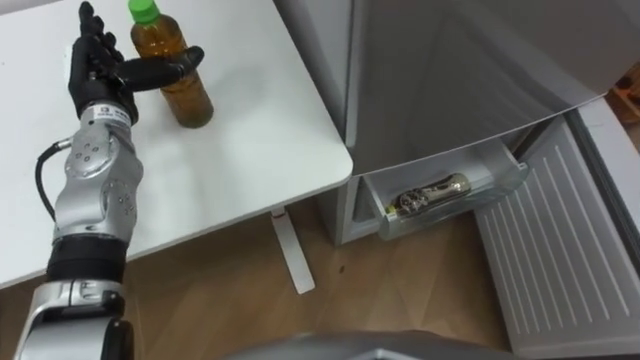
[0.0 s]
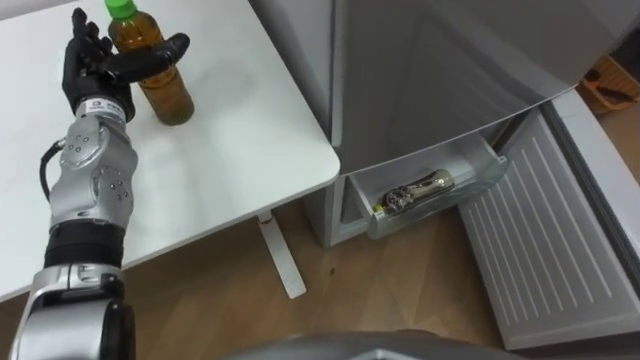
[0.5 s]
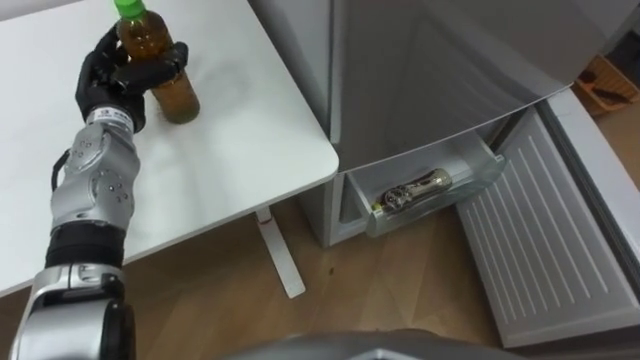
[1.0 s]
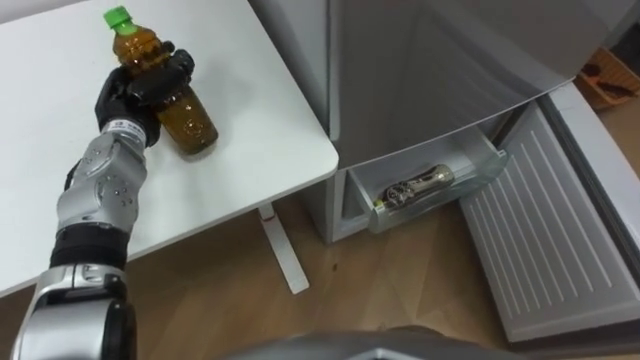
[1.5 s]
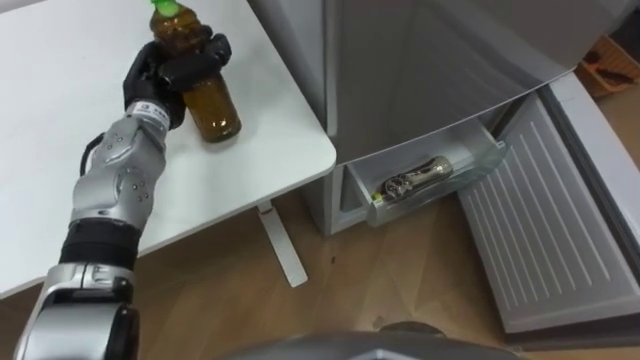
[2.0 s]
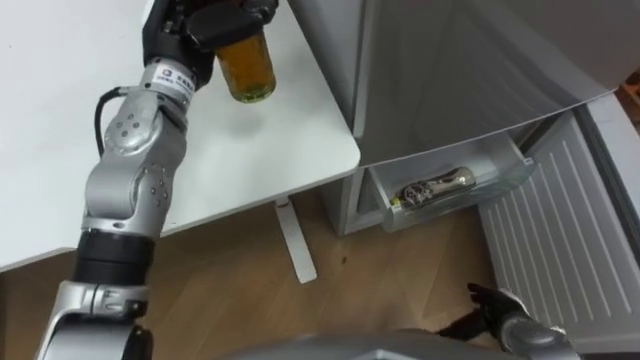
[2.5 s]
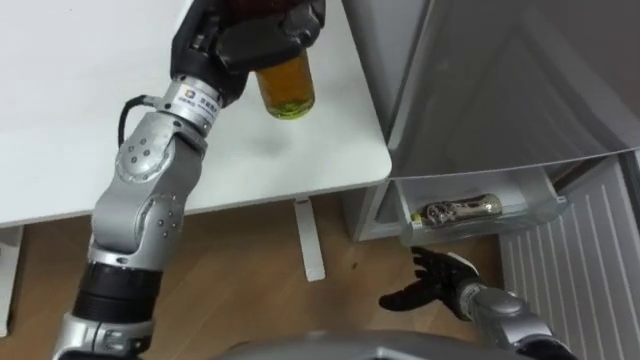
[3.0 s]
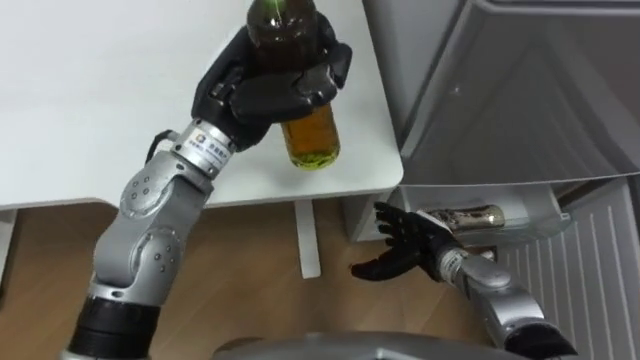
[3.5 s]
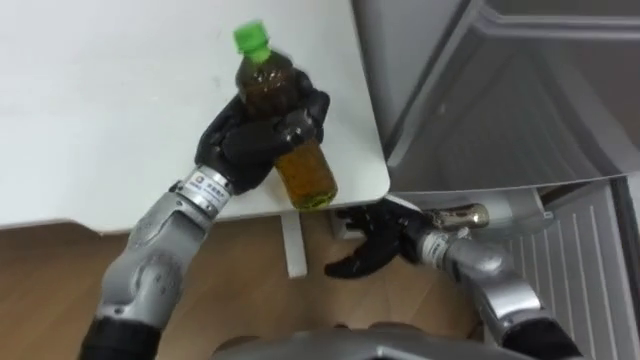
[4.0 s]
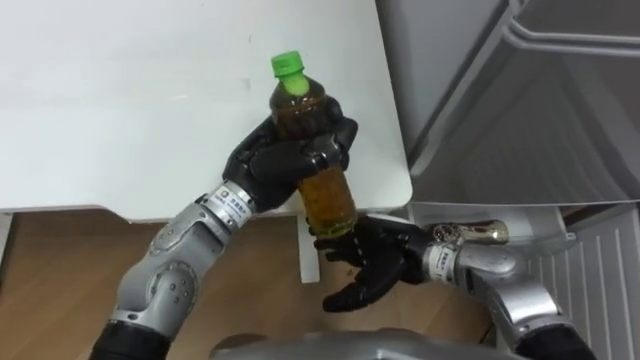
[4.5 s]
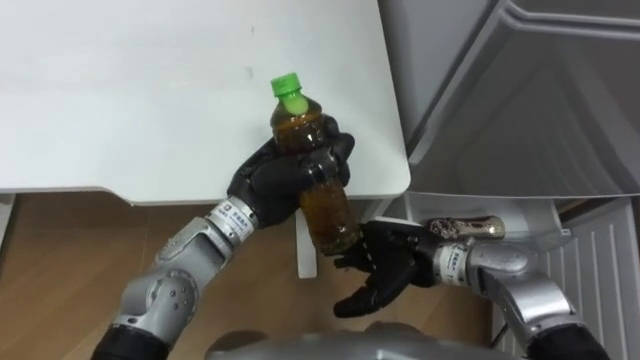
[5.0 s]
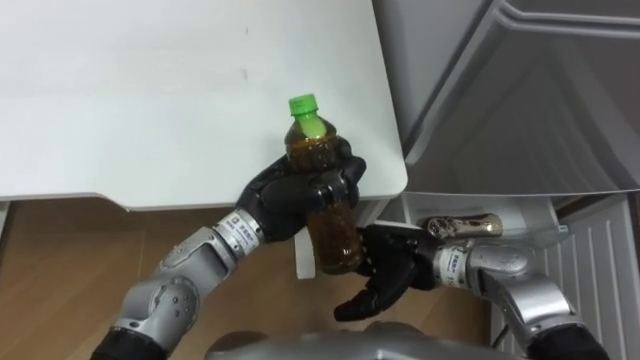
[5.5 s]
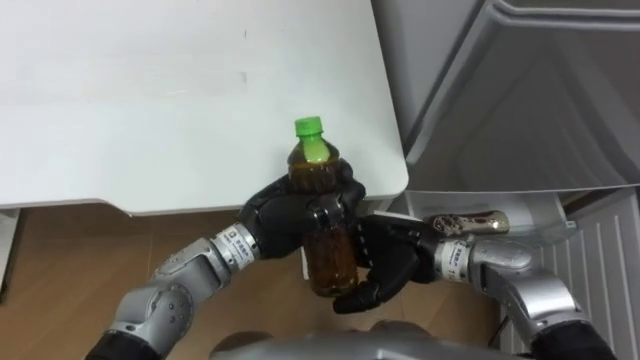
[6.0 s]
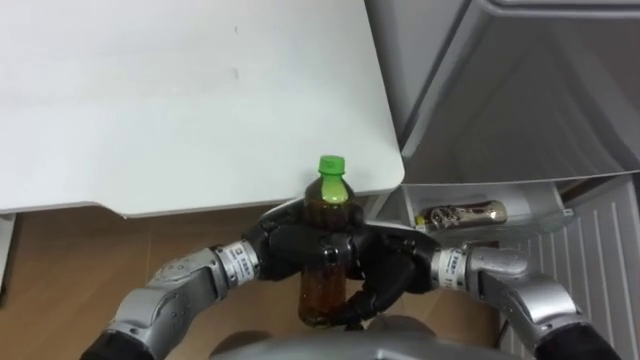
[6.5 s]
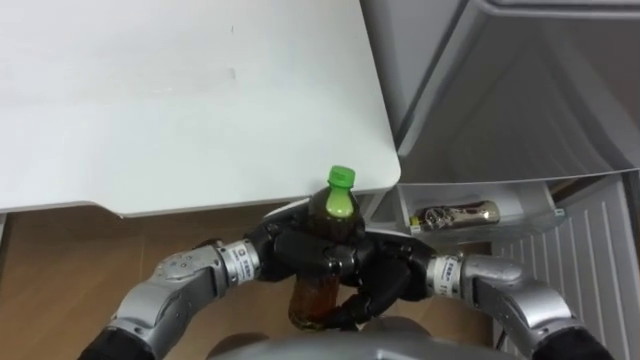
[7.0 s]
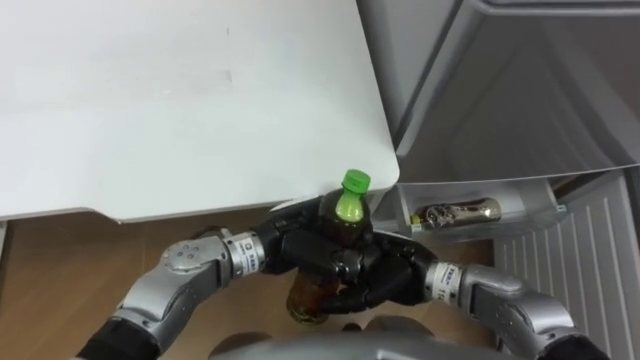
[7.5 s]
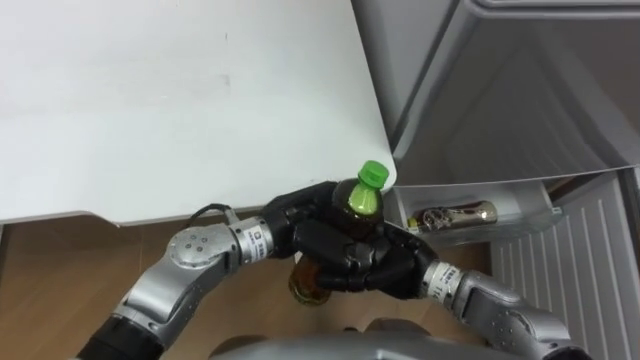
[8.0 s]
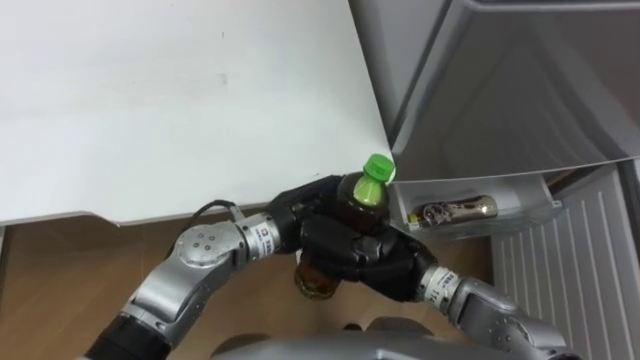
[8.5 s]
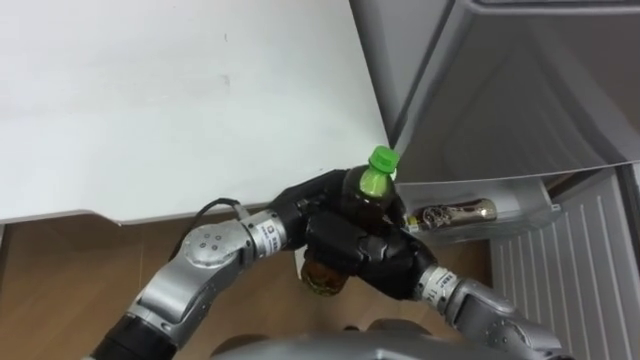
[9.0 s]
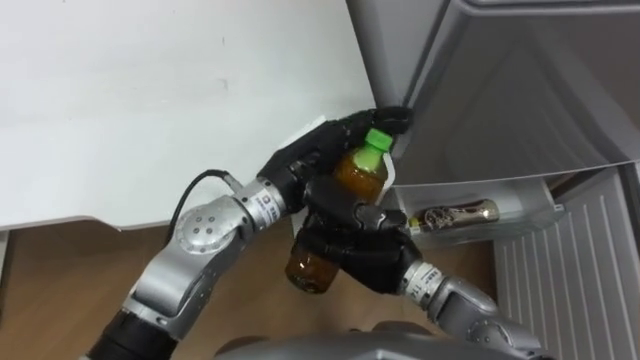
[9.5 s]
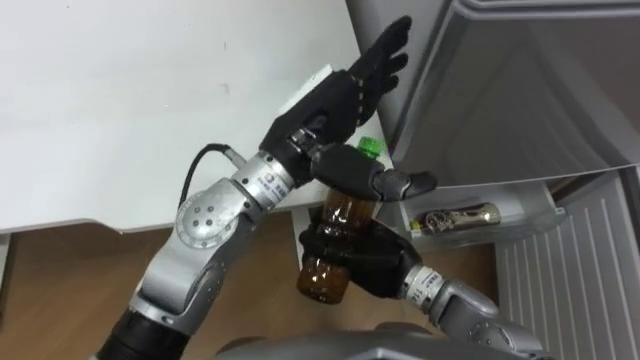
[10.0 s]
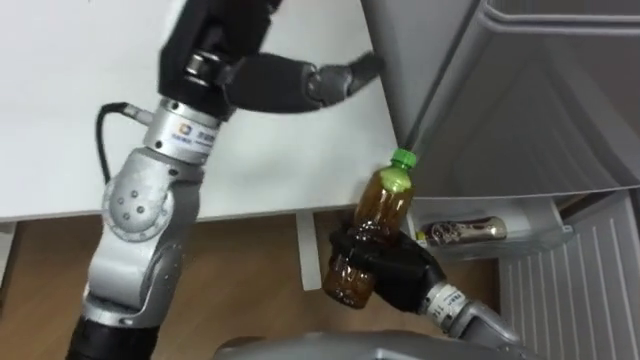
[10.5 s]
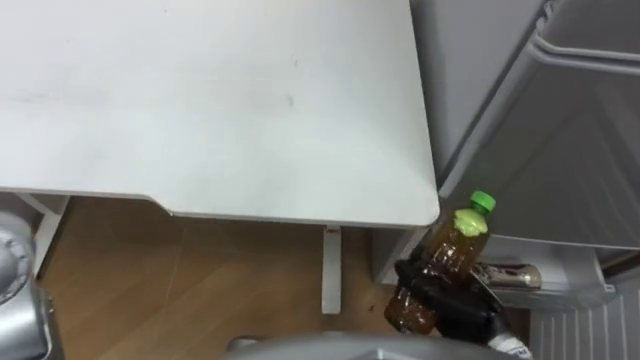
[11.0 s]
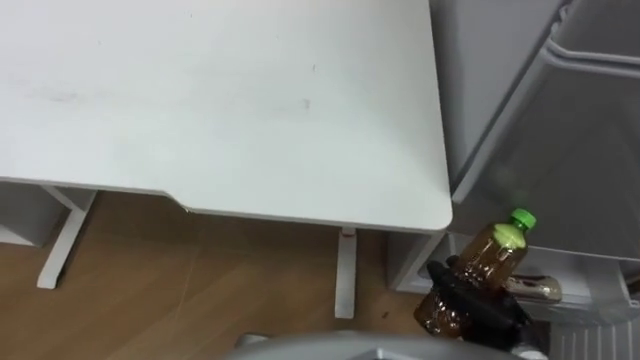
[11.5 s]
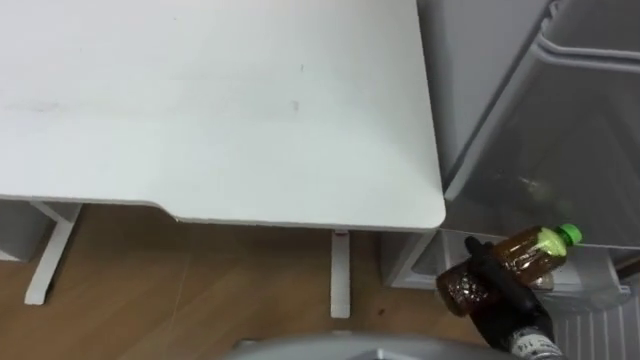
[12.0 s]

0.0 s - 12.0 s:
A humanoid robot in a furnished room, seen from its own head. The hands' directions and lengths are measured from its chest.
Task of the whole recording: Place the drink on the table on the bottom shelf of the refrigerator, then close the drawer and the refrigerator door.
0.0 s - 2.0 s: The left hand is displaced to the right by approximately 5 cm, and closes its fingers.
2.0 s - 4.0 s: The left hand is displaced to the right and backward by roughly 15 cm.
4.0 s - 6.0 s: The left hand shifts about 10 cm downward and backward.
8.0 s - 10.0 s: The right hand closes. Meanwhile the left hand is displaced upward by about 10 cm, and opens its fingers.
10.0 s - 12.0 s: The right hand goes about 20 cm to the right.

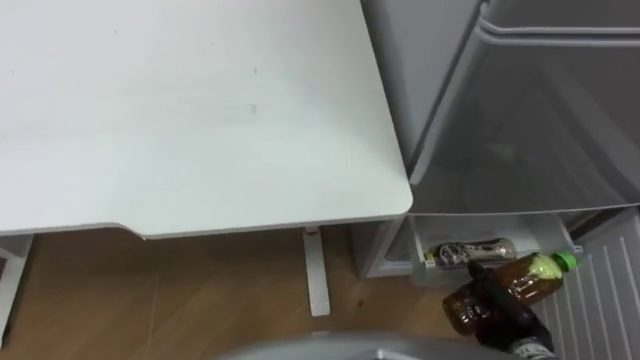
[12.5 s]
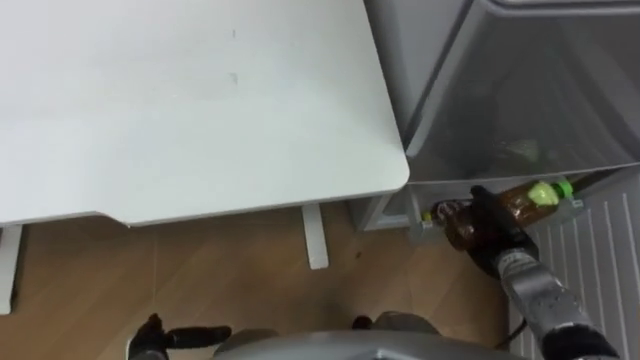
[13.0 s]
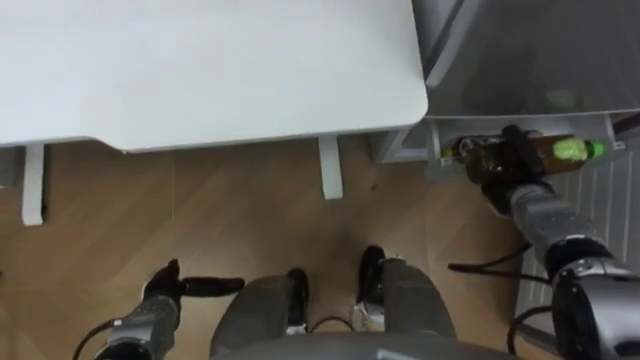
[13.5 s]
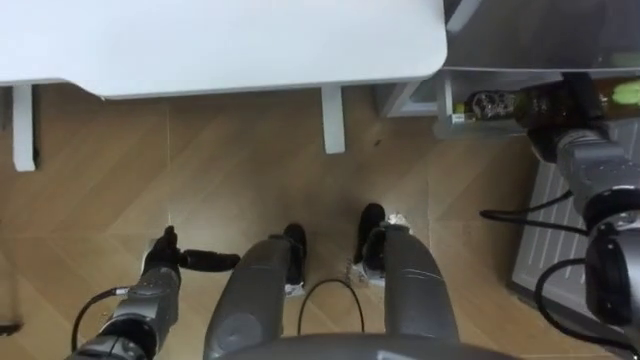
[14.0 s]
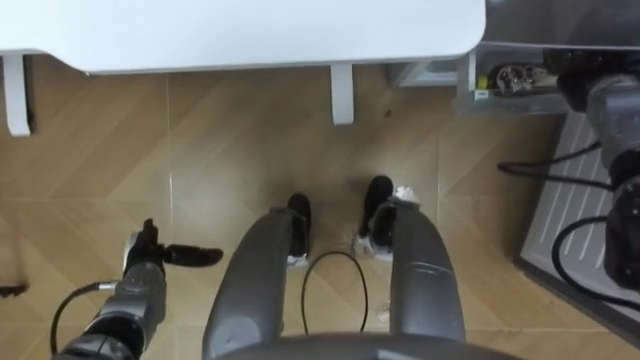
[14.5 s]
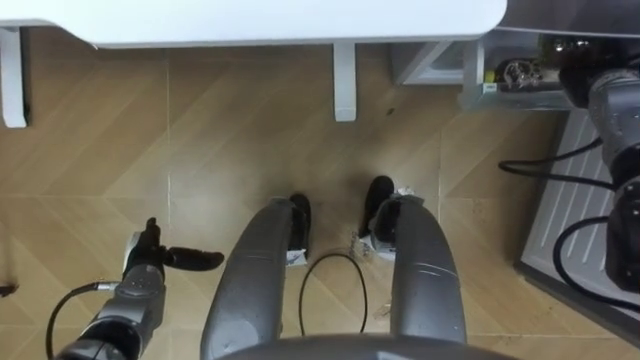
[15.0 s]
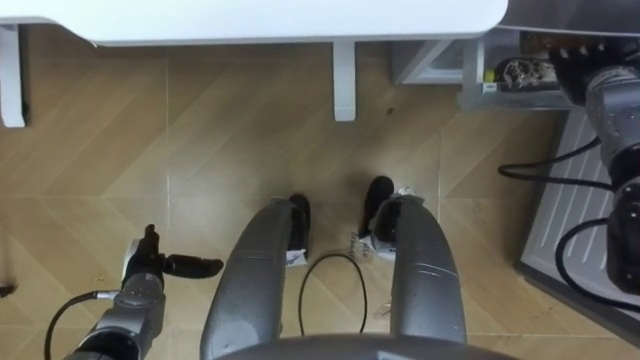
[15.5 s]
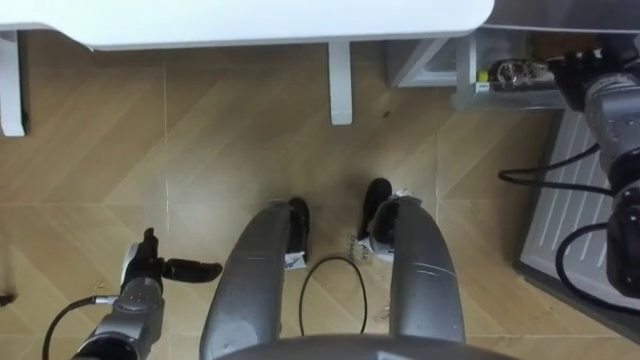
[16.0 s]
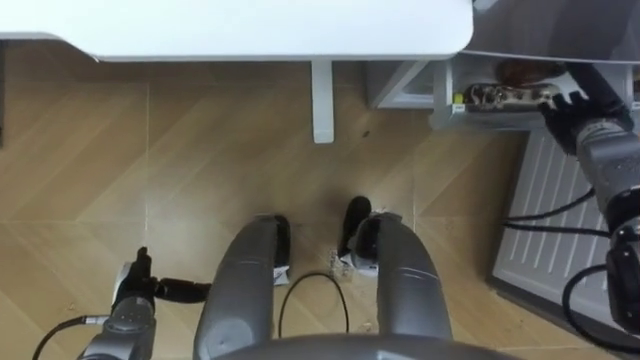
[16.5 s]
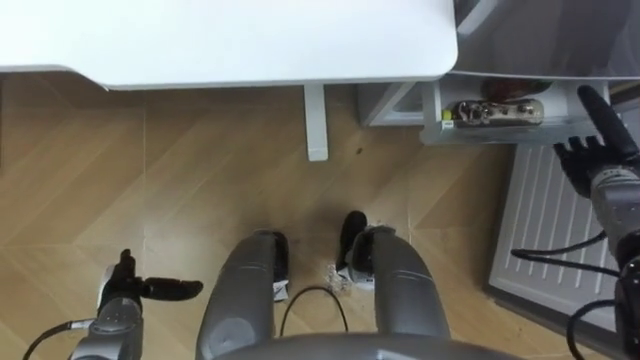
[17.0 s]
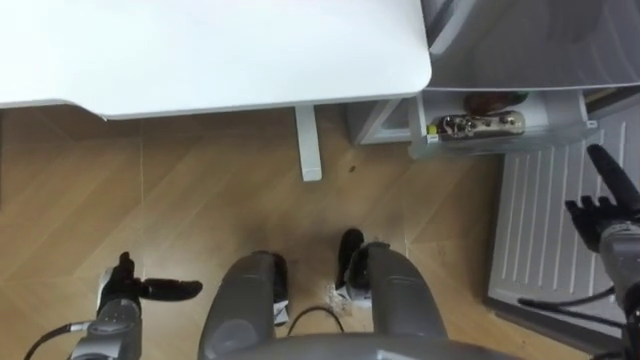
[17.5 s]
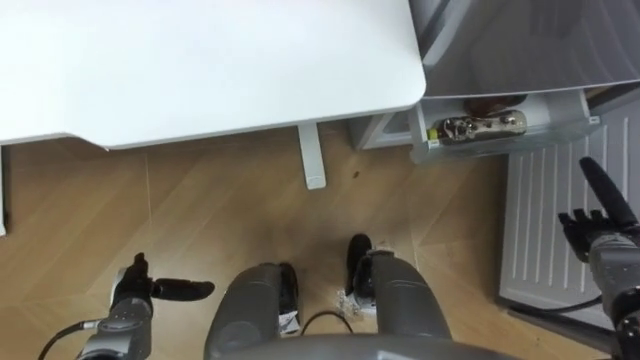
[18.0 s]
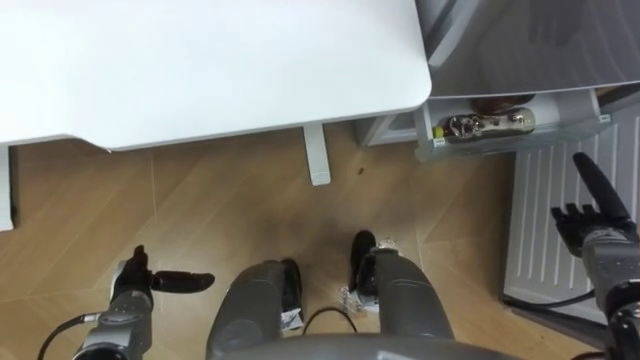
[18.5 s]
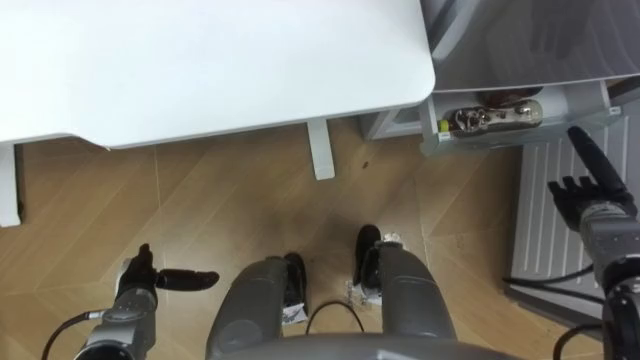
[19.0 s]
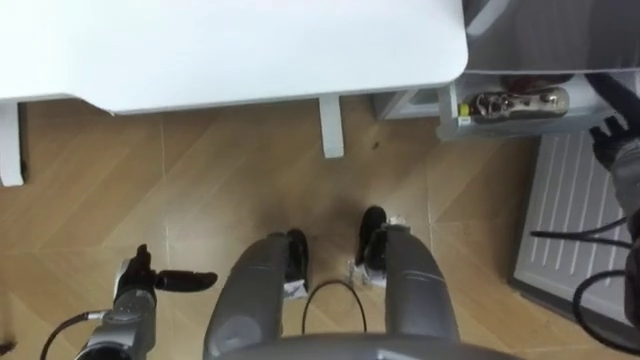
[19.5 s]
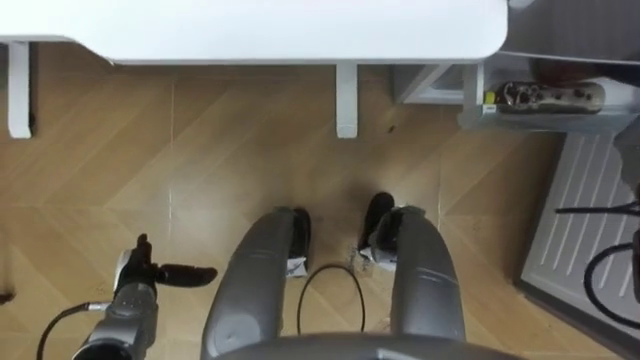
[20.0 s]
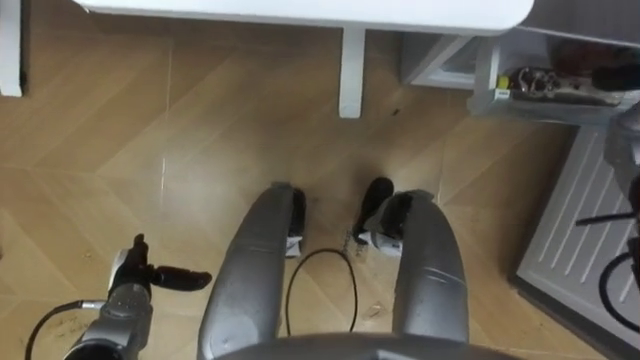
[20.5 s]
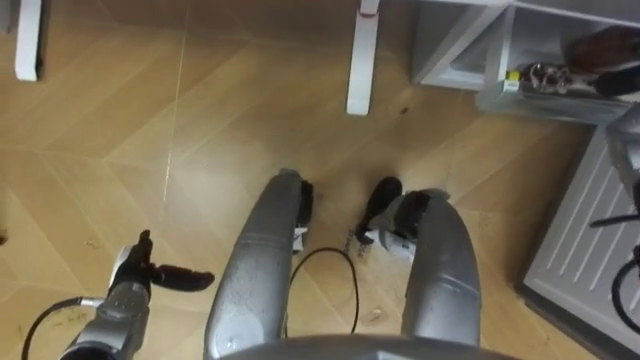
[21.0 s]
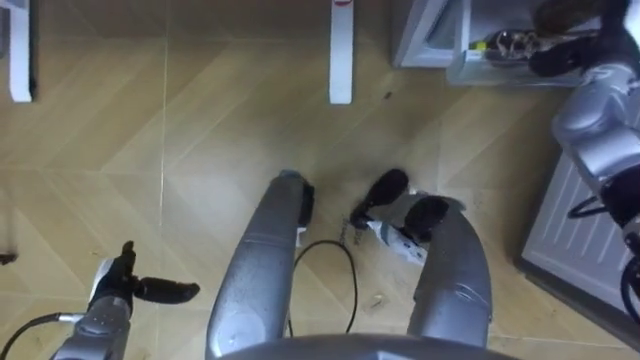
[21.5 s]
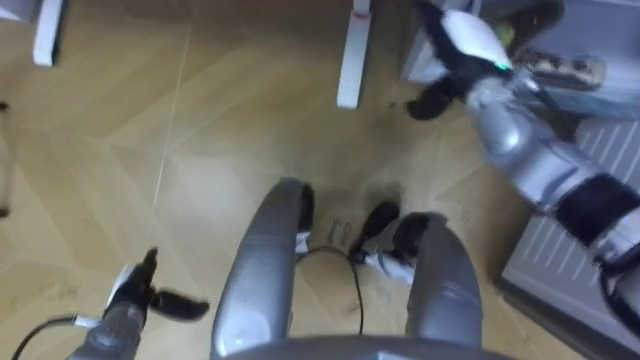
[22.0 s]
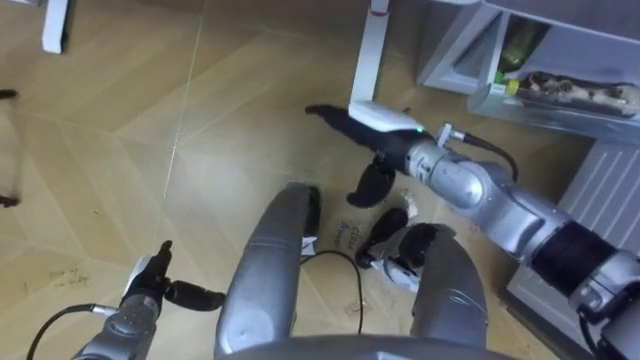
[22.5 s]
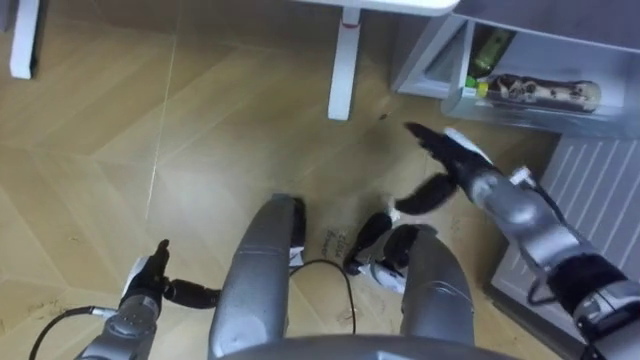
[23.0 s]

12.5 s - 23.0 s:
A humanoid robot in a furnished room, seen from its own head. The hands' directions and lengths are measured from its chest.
Task of the whole recording: Place the drink on the table on the bottom shelf of the refrigerator, then close the drawer and the refrigerator door.
12.5 s - 14.5 s: The right hand is displaced forward and upward by some 35 cm.
14.5 s - 16.5 s: The right hand ends up about 5 cm from where it was, and opens up.
16.5 s - 19.0 s: The right hand is displaced backward and downward by approximately 15 cm.
